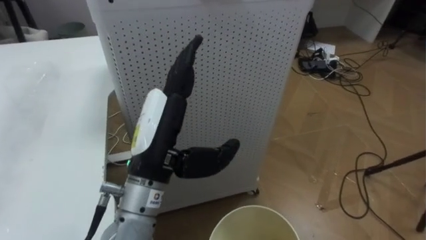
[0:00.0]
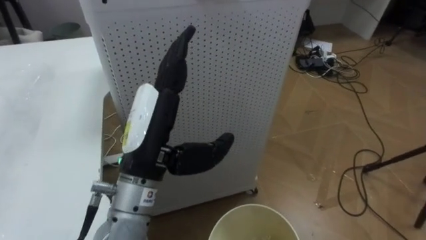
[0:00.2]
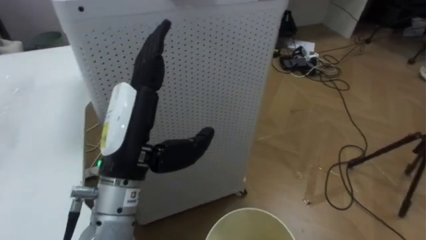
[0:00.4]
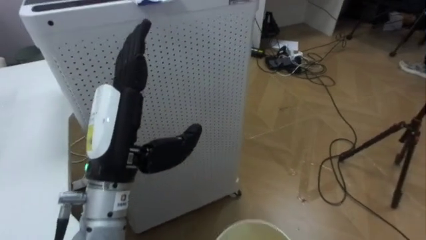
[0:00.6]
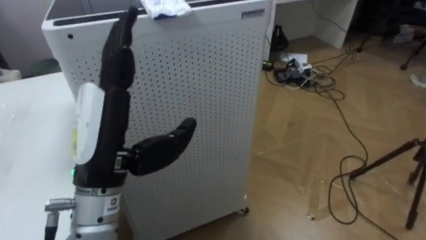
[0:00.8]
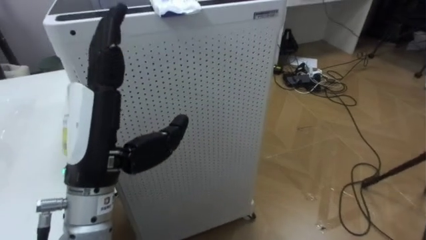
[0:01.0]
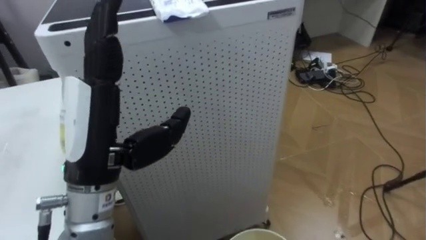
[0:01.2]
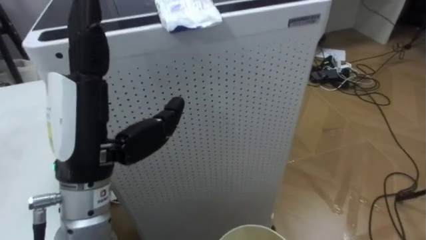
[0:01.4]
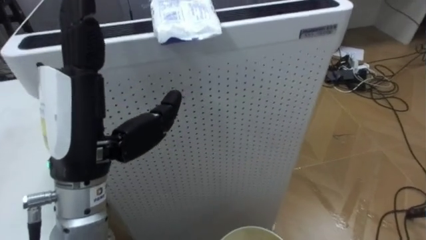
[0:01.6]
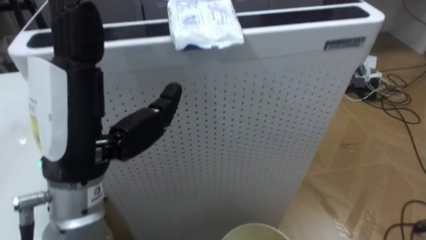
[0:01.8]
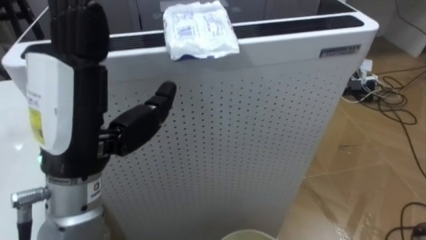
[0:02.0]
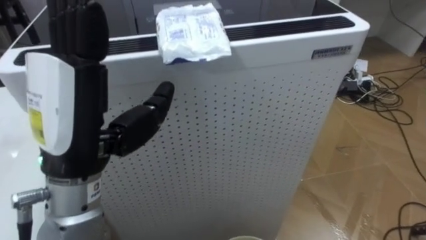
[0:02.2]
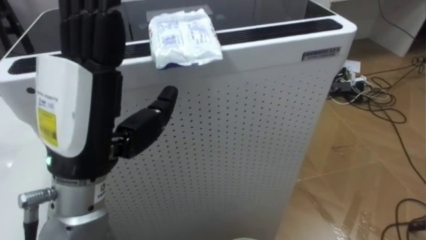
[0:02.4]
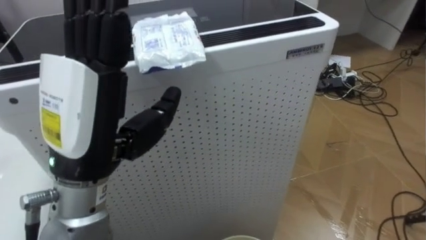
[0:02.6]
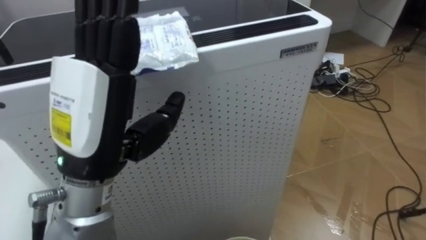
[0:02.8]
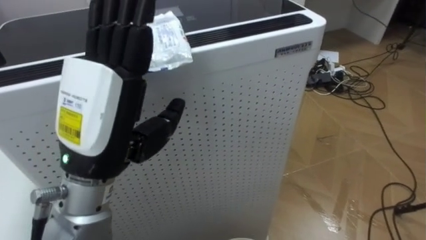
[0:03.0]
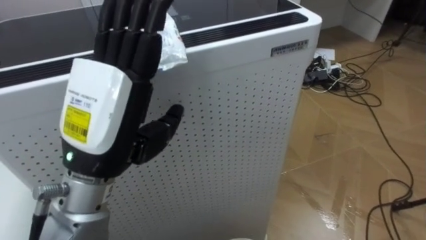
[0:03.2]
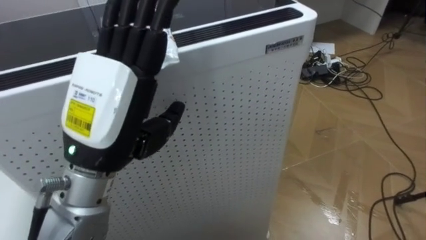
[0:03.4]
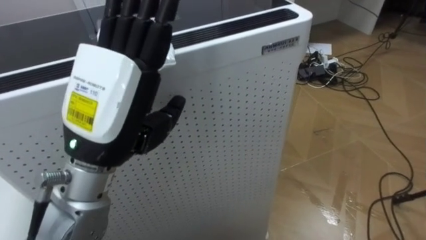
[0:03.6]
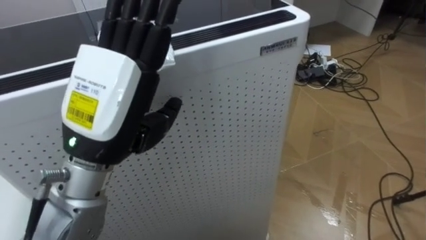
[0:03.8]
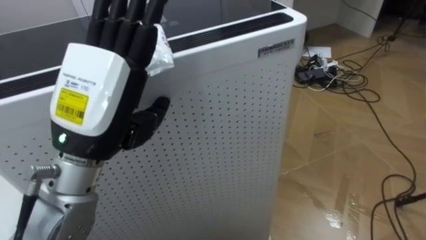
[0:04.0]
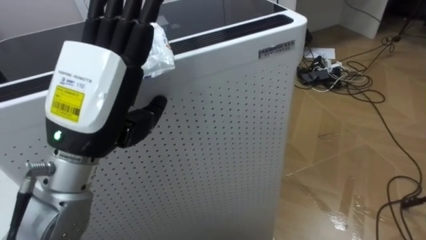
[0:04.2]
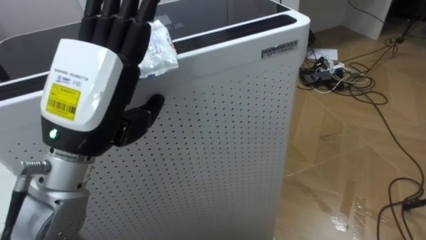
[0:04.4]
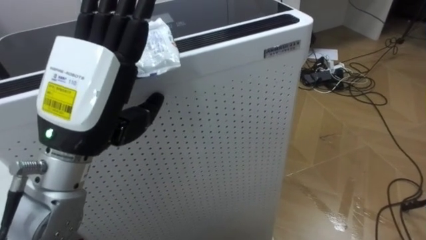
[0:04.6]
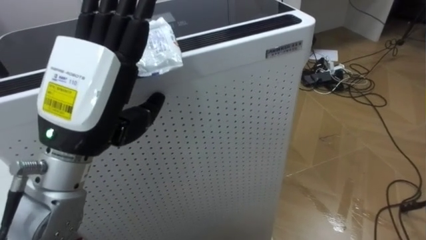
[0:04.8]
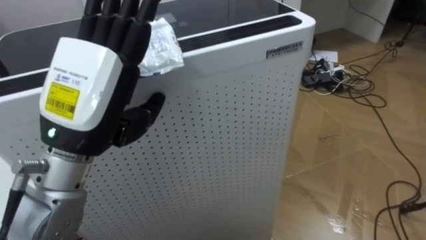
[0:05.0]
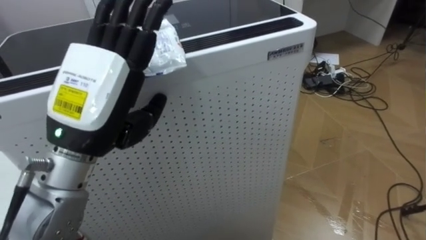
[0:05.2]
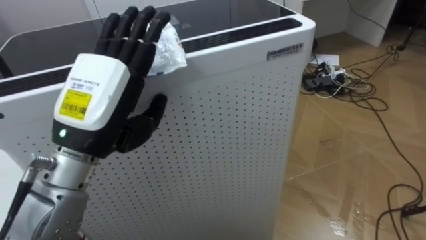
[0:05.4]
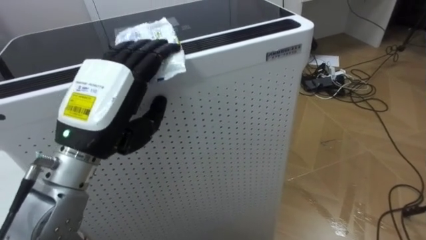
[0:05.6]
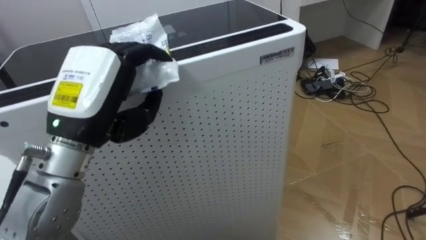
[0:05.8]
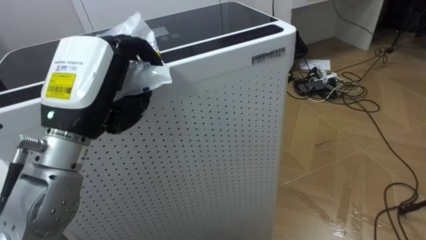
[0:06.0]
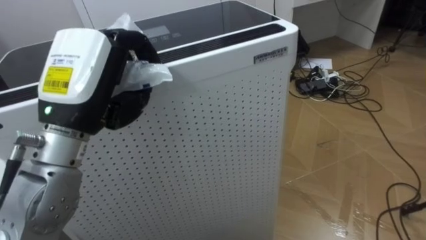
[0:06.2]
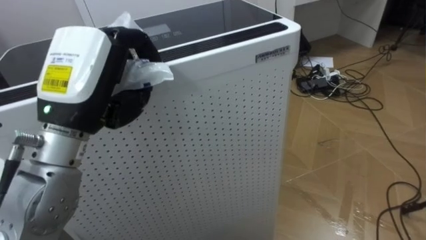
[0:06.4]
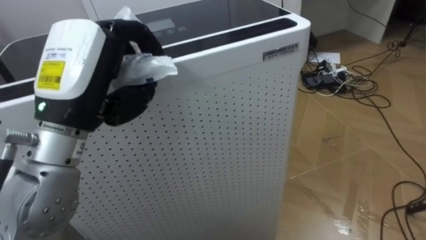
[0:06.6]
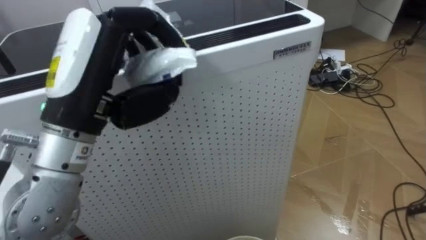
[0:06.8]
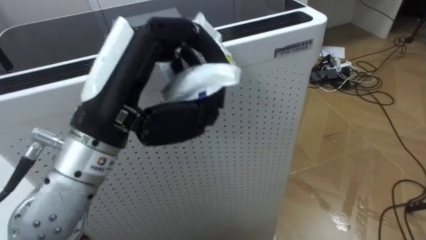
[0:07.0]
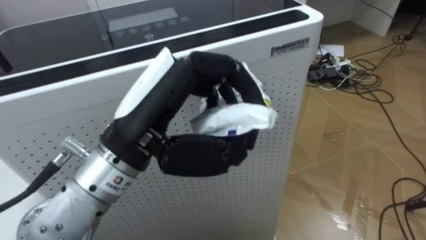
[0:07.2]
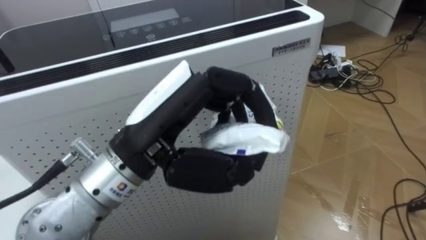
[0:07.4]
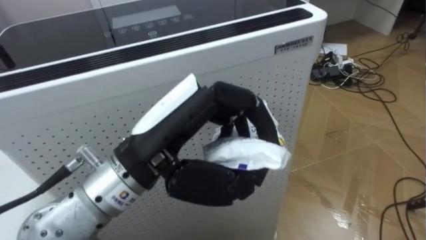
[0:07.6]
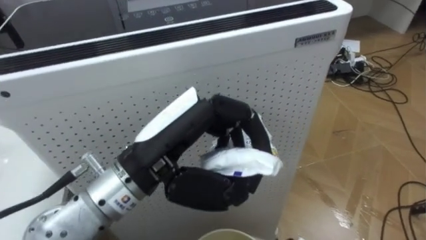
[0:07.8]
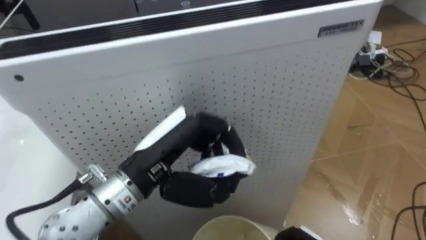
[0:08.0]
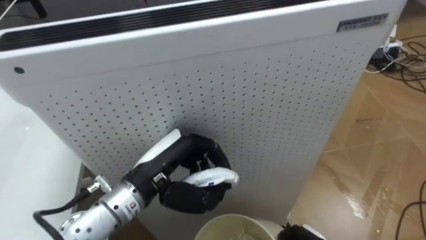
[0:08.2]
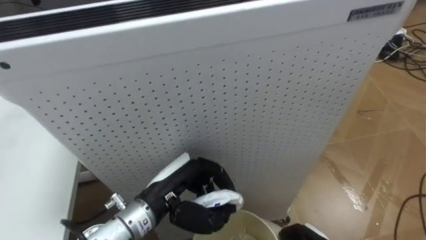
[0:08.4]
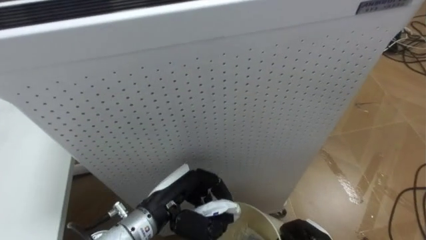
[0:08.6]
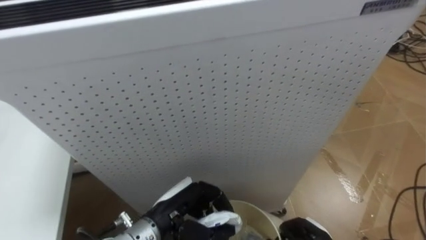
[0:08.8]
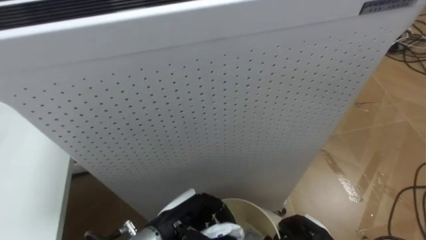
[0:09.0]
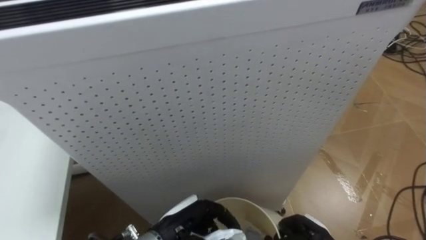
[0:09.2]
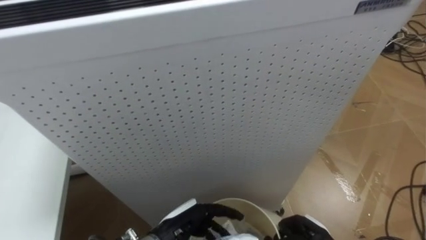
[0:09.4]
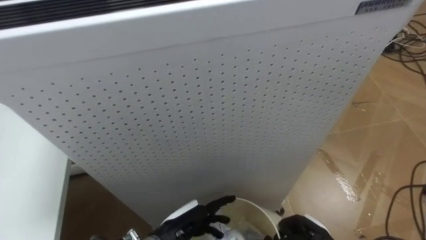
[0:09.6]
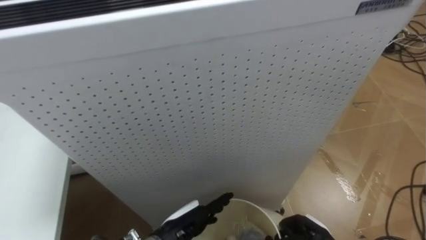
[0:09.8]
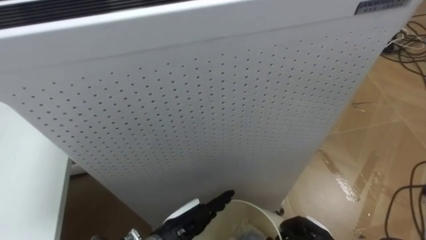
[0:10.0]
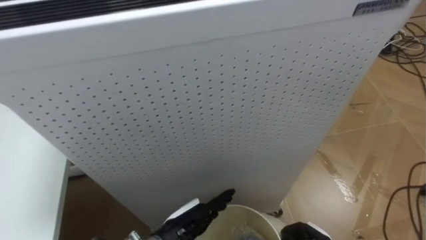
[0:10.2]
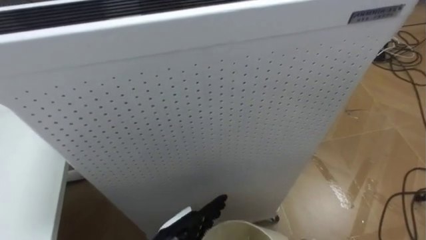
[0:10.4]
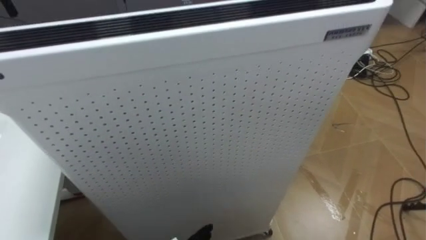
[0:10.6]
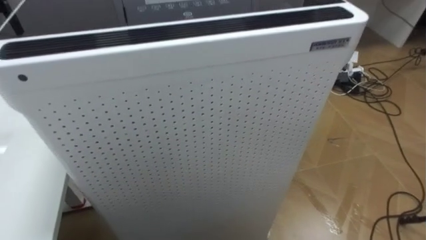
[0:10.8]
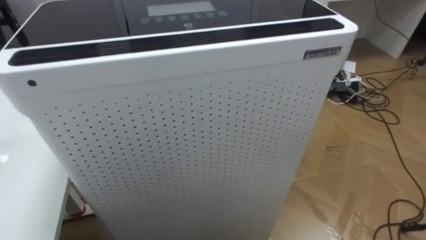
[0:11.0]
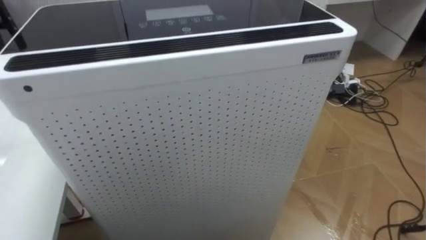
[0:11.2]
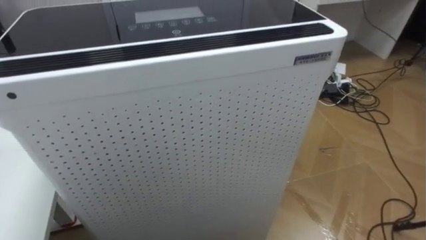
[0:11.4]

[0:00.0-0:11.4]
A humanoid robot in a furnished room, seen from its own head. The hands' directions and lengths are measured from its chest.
Task of the whole recording: Pick up the light blue package, the candy box, and the dark blue package separately, and put them into the trash can held in your right hand.
0:00.0 to 0:01.4: The left hand is displaced to the left and upward by approximately 10 cm.
0:05.6 to 0:07.2: The left hand travels to the right by roughly 10 cm, and closes up.
0:07.2 to 0:08.6: The left hand moves downward, some 20 cm.
0:08.6 to 0:10.0: The left hand heads downward, covering about 5 cm, and opens its fingers.

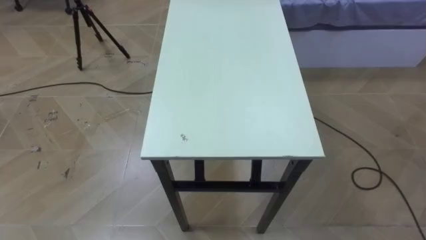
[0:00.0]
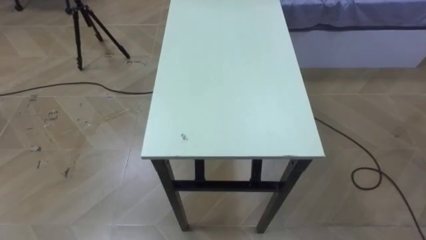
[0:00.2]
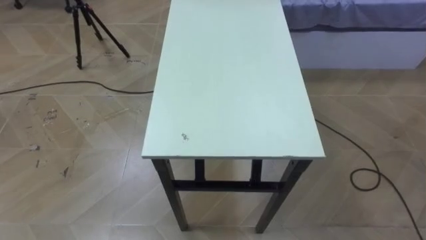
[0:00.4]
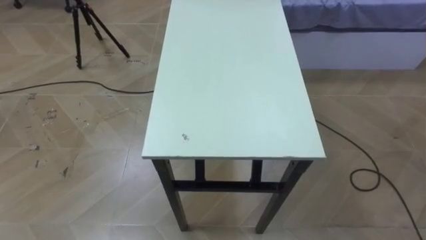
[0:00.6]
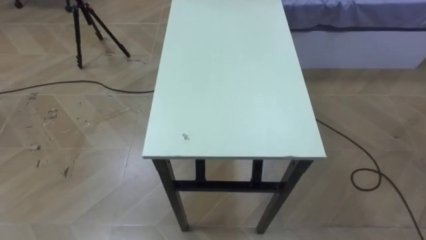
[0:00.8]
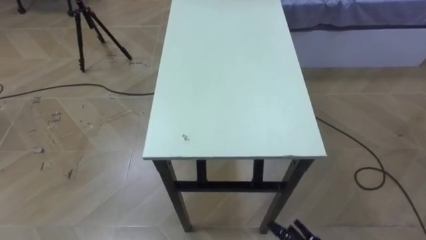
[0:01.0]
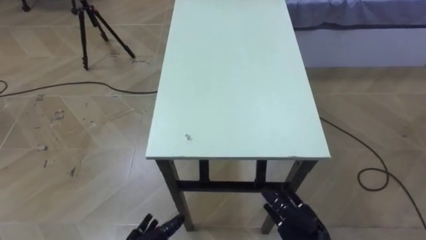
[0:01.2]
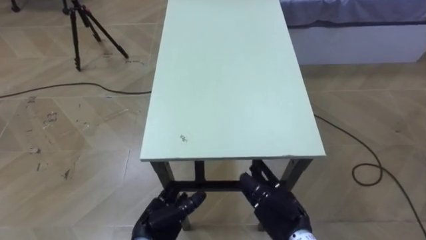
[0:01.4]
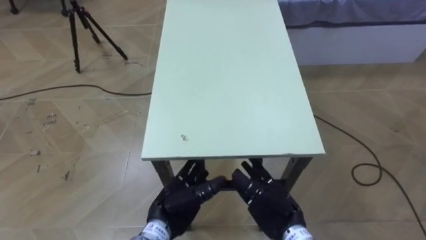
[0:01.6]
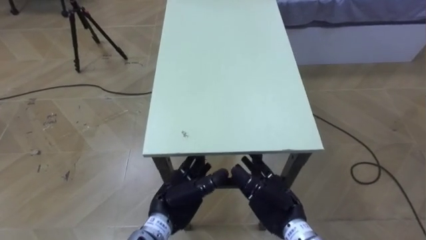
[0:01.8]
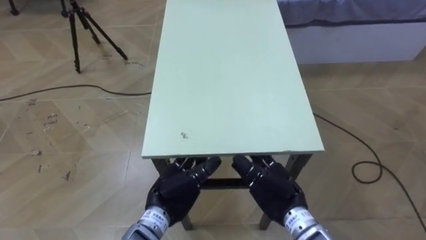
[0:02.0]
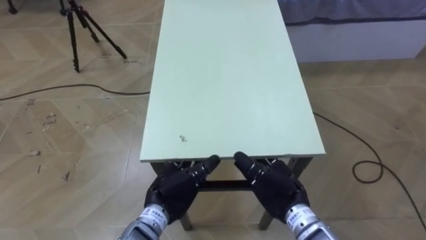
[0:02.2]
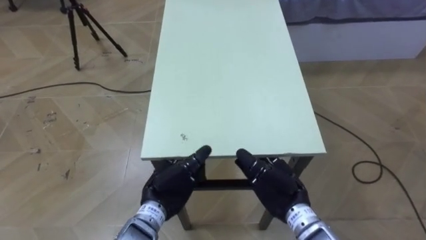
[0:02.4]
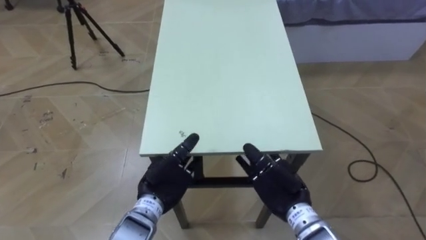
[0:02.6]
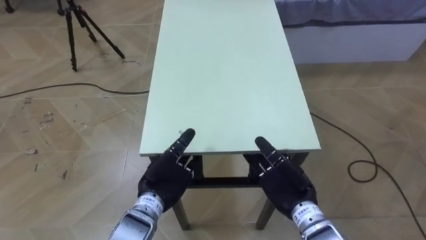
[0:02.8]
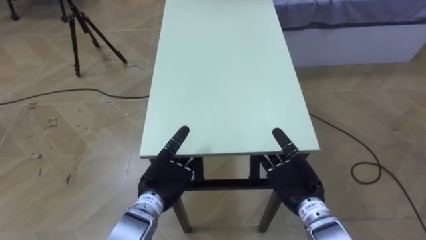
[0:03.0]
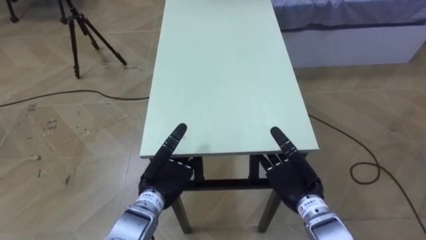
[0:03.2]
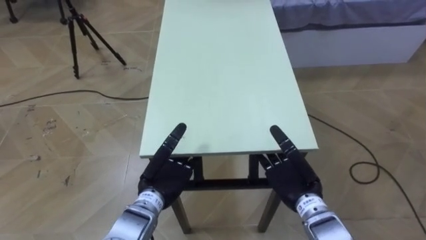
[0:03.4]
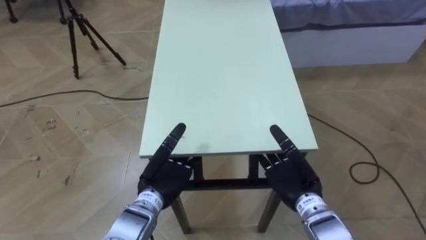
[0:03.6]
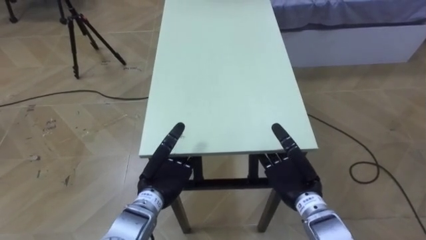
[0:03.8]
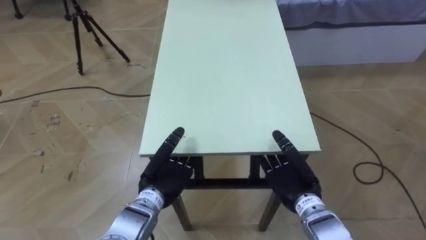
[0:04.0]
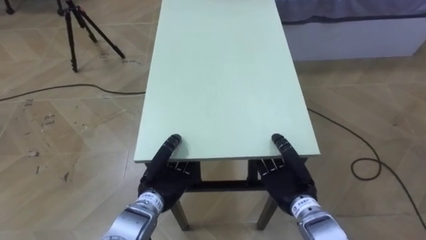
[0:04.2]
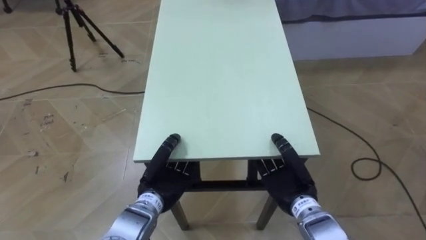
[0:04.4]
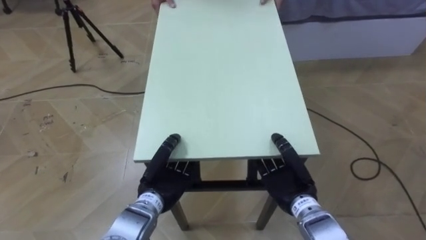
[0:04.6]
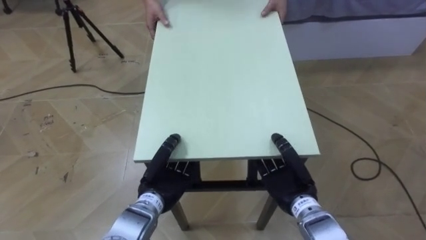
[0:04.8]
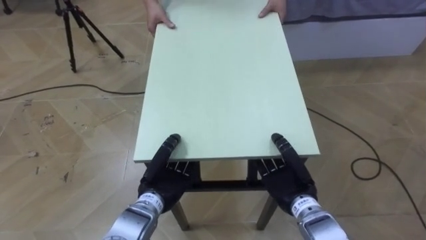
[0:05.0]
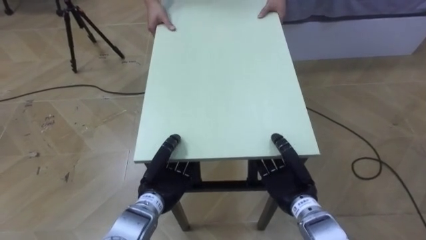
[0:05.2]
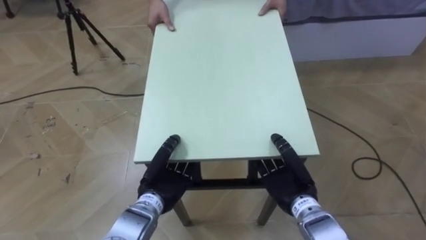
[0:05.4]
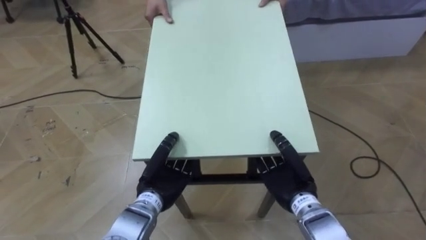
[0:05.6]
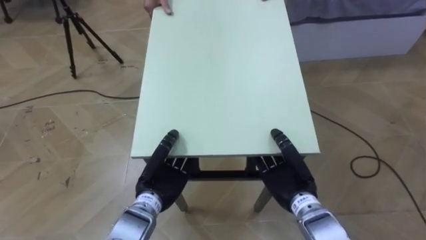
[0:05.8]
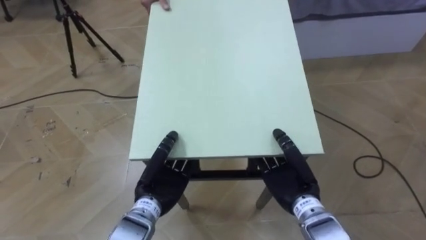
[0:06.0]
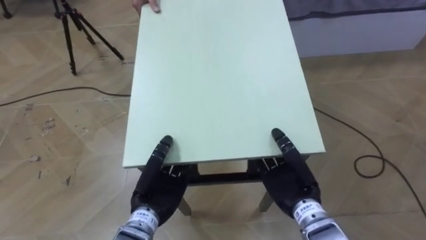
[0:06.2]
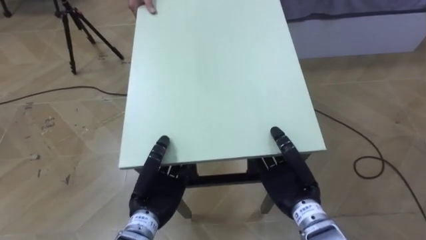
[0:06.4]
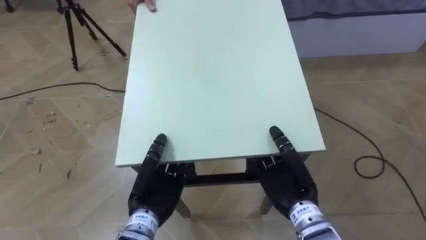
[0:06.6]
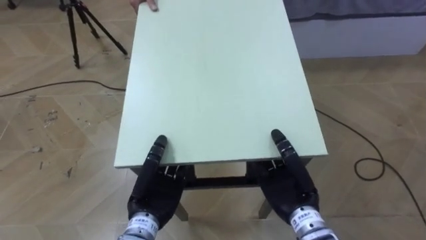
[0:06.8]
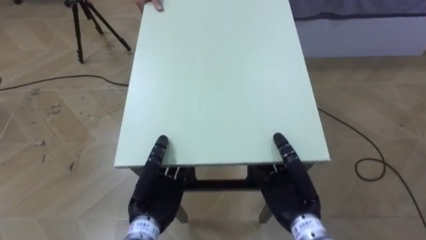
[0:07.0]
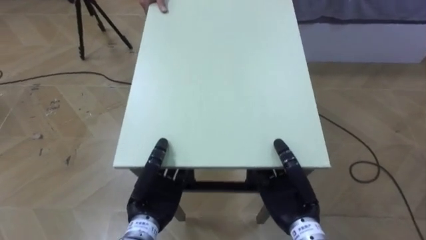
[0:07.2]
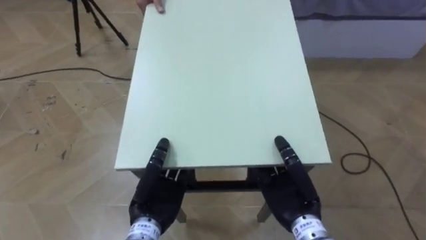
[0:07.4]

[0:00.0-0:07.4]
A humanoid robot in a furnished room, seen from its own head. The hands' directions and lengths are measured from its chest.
Task of the whole recording: Move the table to the back left with someone.
0:01.4 to 0:03.0: The left hand is displaced upward and forward by some 10 cm; the right hand travels forward by about 5 cm.
0:03.0 to 0:04.4: The left hand closes up. Meanwhile the right hand closes its fingers.
0:04.4 to 0:06.0: The hands make only small movements.
